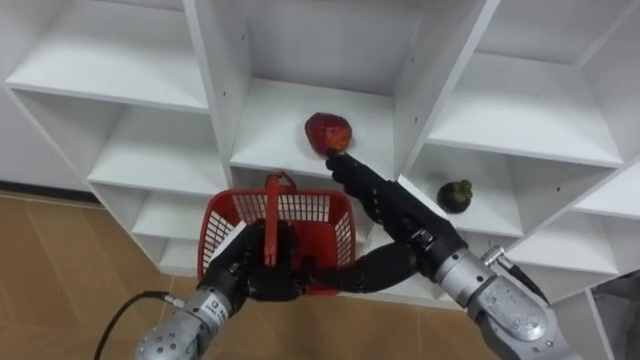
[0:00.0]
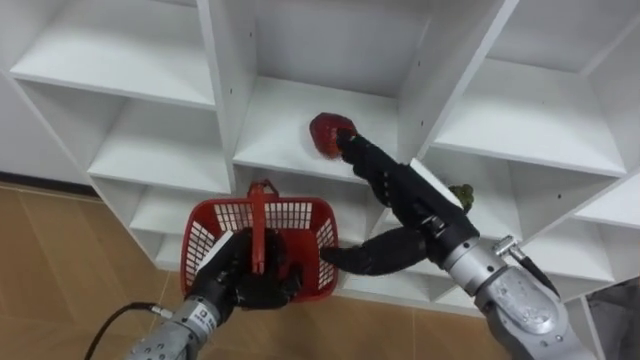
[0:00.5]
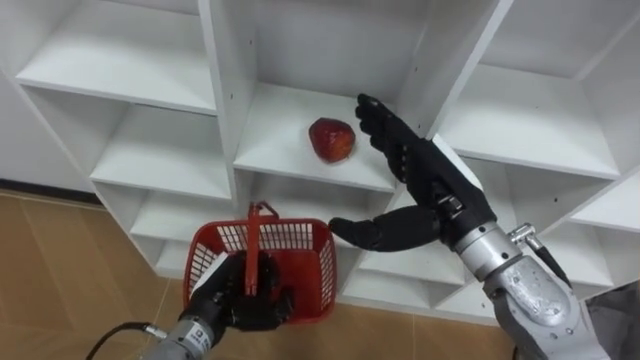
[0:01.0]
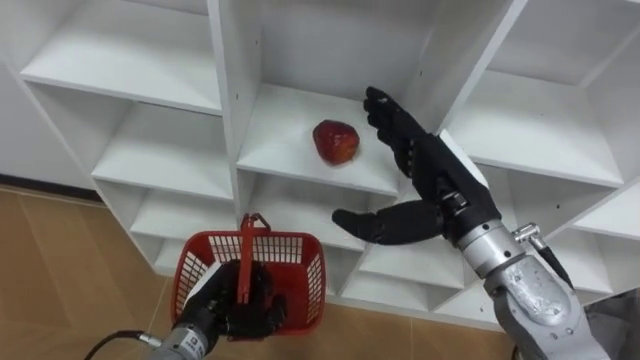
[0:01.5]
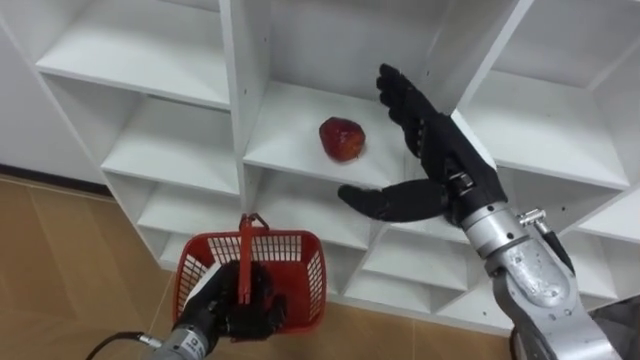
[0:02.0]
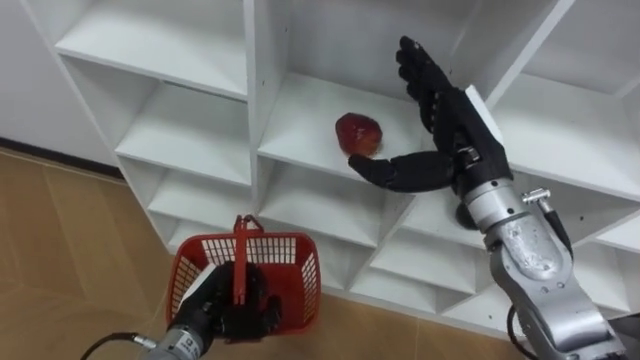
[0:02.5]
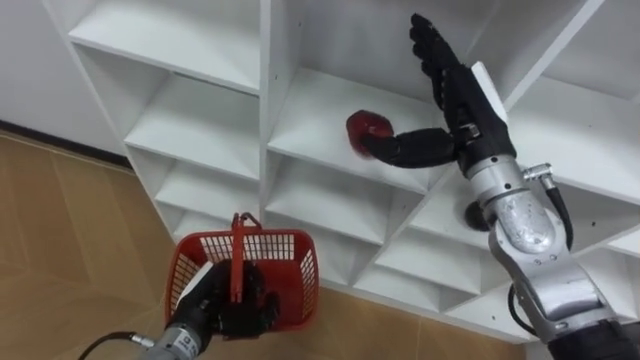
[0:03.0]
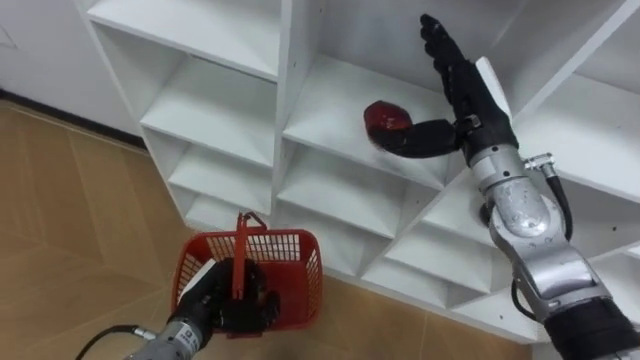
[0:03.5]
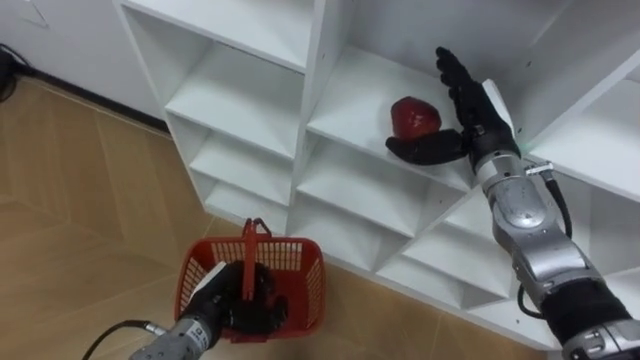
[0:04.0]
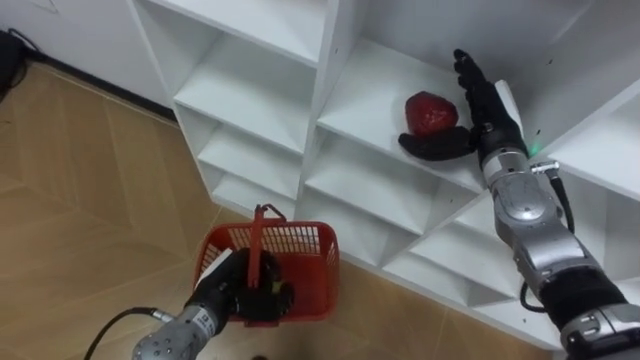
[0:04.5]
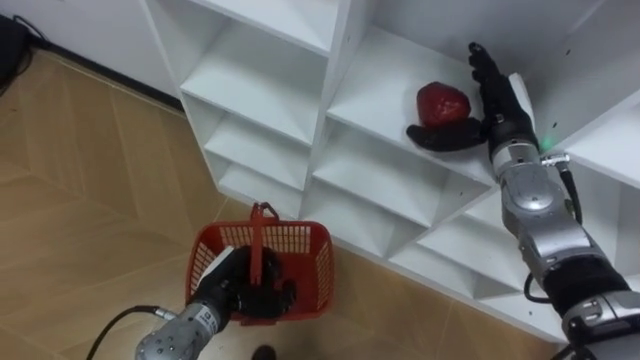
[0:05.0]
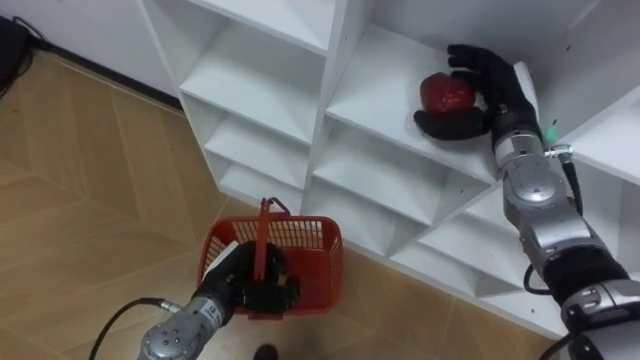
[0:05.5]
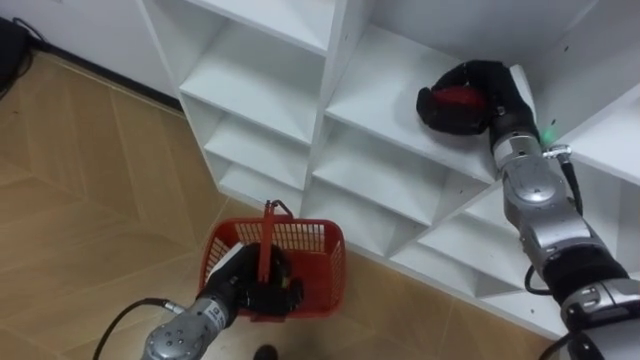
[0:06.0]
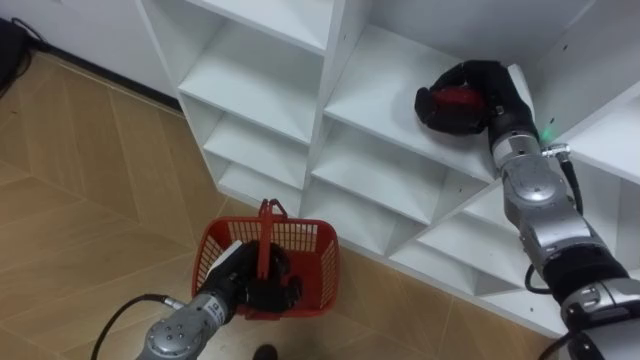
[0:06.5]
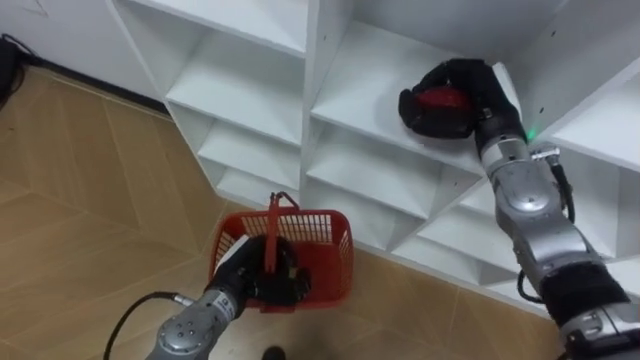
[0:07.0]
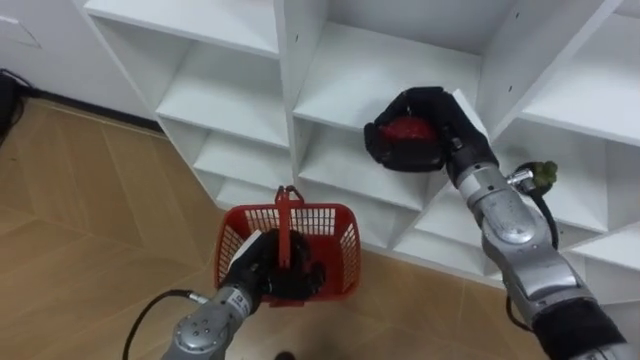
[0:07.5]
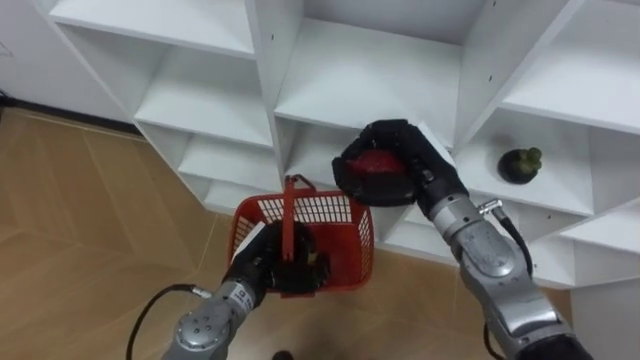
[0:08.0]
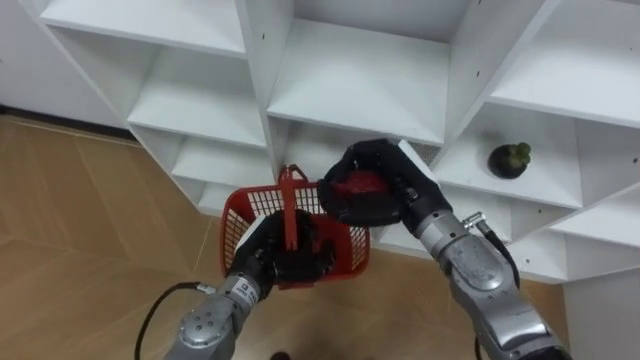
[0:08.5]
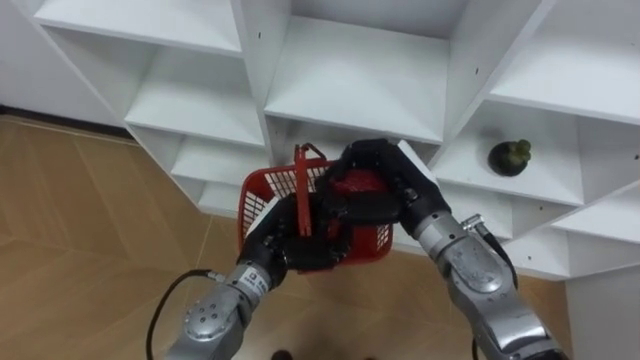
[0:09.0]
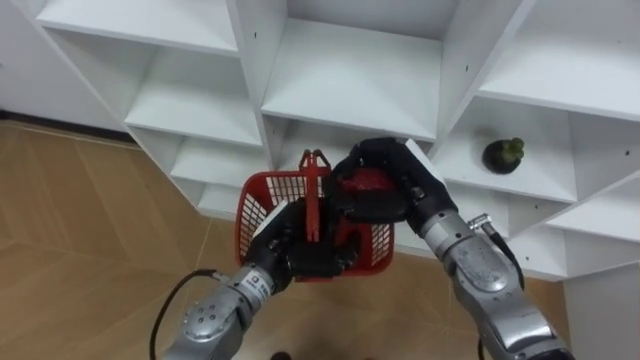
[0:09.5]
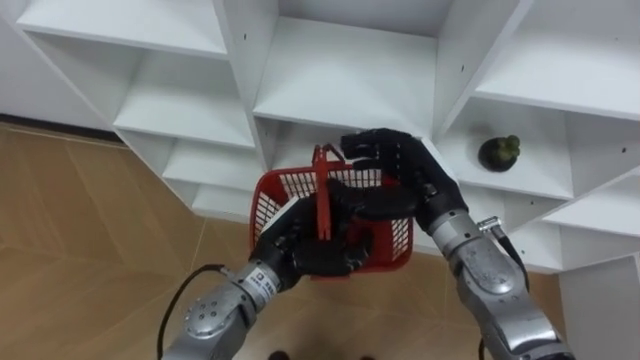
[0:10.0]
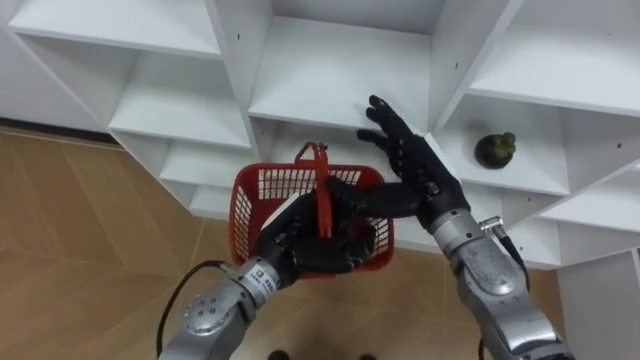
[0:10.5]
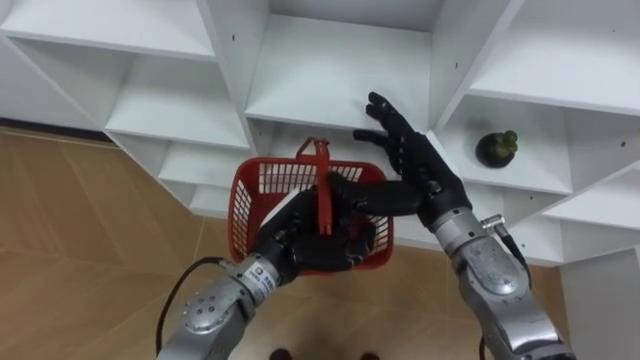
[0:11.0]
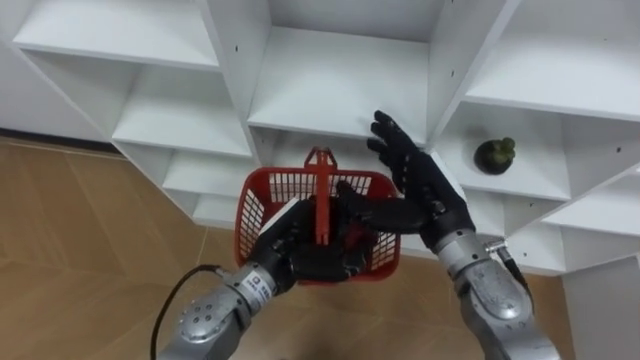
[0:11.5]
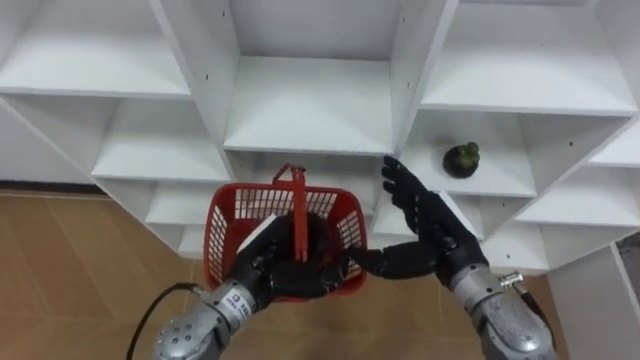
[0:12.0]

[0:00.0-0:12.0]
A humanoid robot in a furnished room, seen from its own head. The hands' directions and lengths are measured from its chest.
Task of the whole recording: Hold the basket and collect the fruits from 3 different cells of the closet into it.
0:00.0 to 0:02.0: The right hand heads upward, covering some 5 cm, while the left hand ends up roughly 5 cm from where it was.
0:02.0 to 0:04.0: The right hand shifts approximately 10 cm forward.
0:04.0 to 0:06.0: The right hand closes its fingers.
0:06.0 to 0:08.0: The right hand travels to the left and backward by approximately 10 cm.
0:08.0 to 0:10.0: The left hand shifts about 5 cm upward; the right hand opens up.
0:10.0 to 0:12.0: The right hand changes place by about 5 cm.

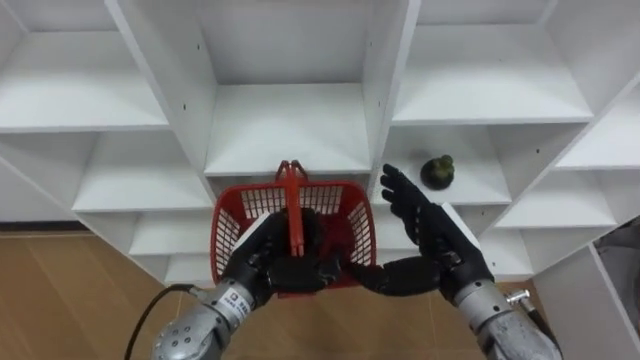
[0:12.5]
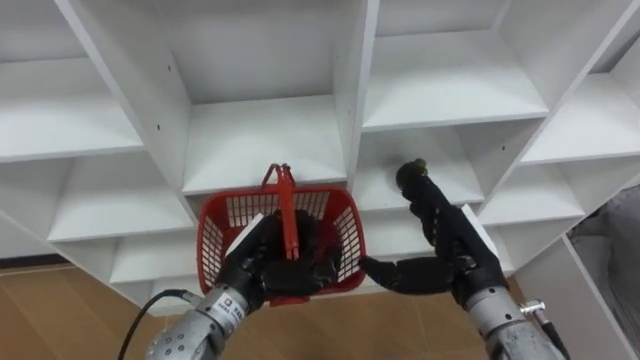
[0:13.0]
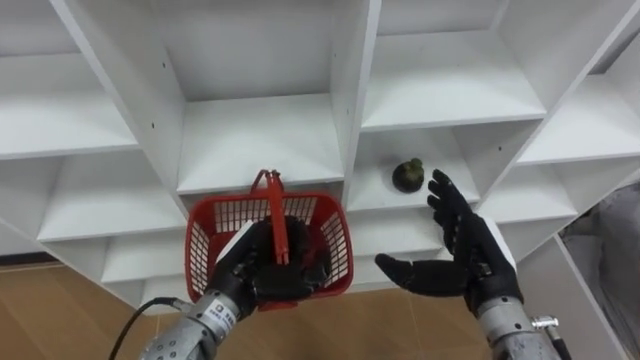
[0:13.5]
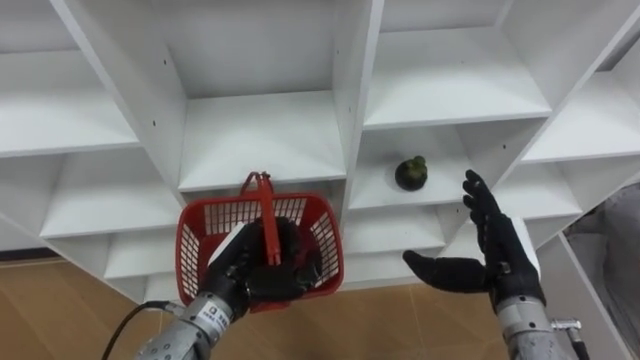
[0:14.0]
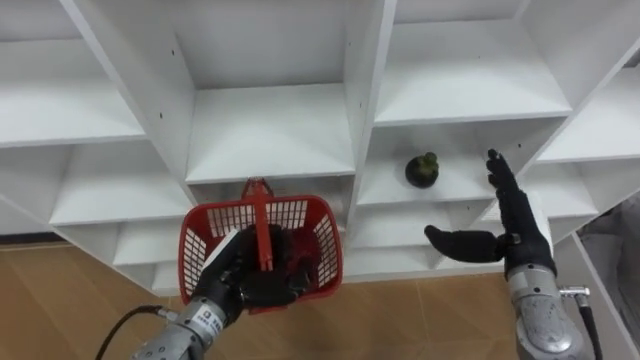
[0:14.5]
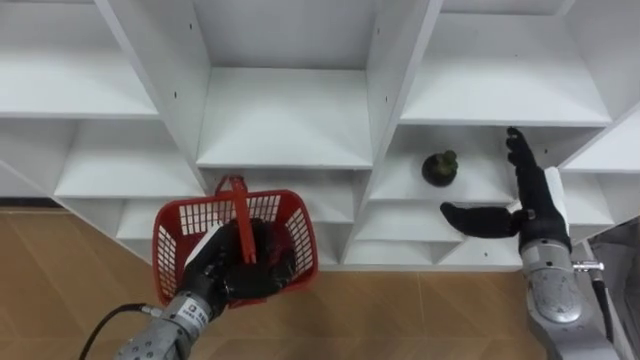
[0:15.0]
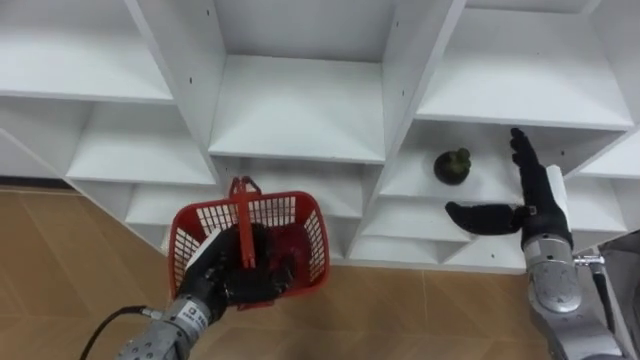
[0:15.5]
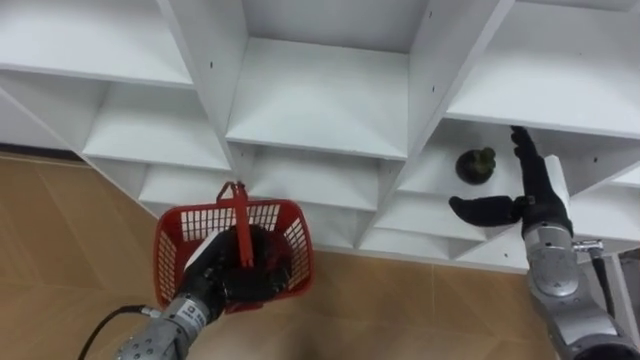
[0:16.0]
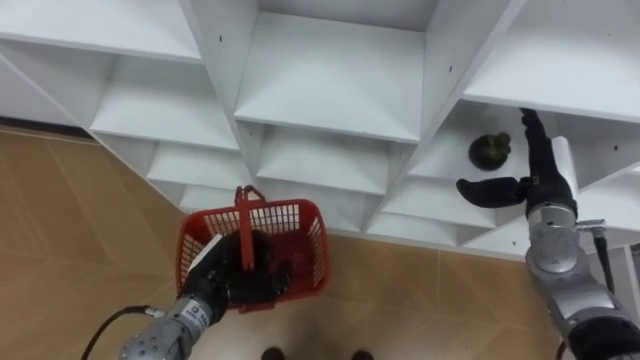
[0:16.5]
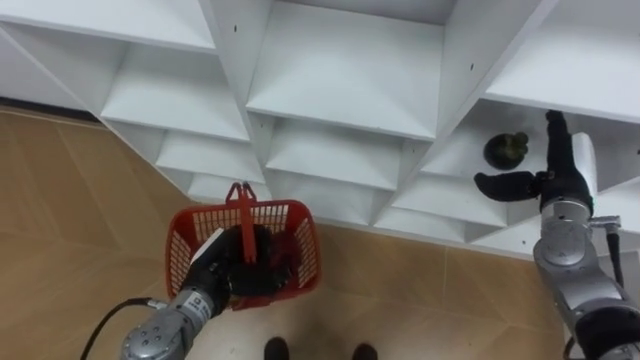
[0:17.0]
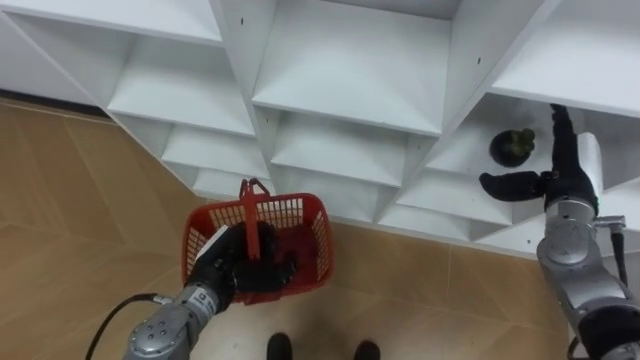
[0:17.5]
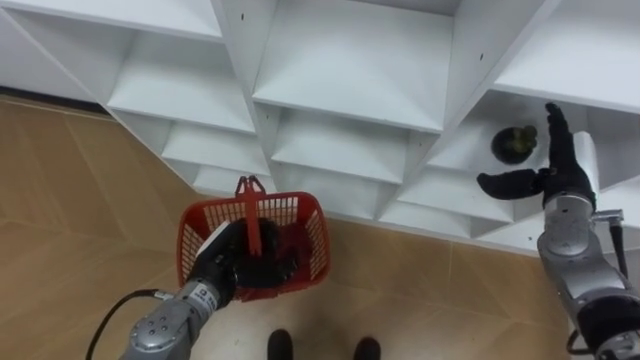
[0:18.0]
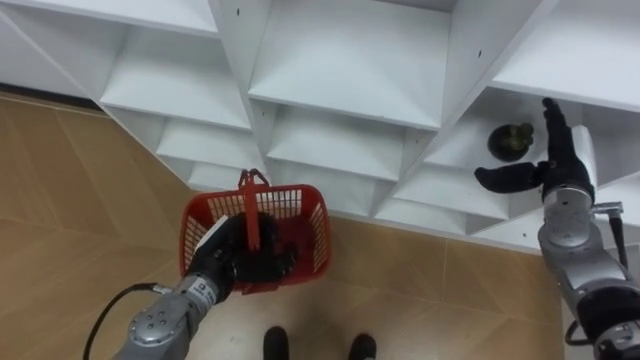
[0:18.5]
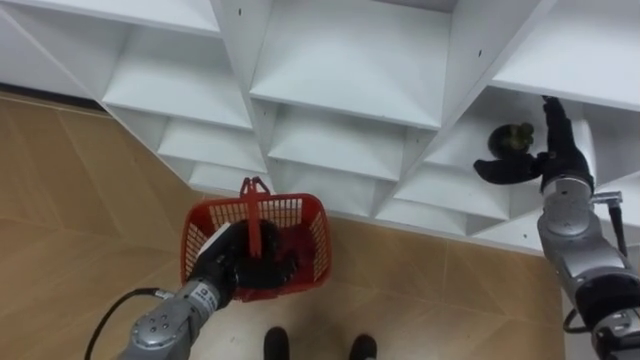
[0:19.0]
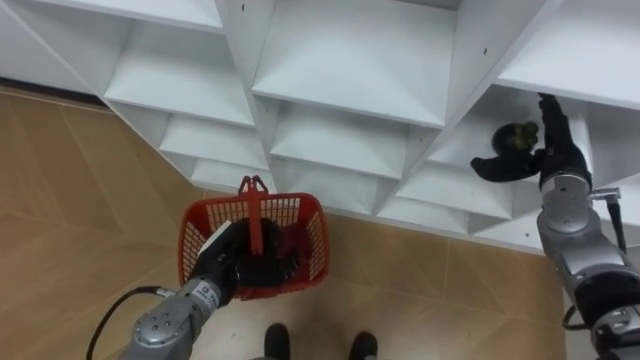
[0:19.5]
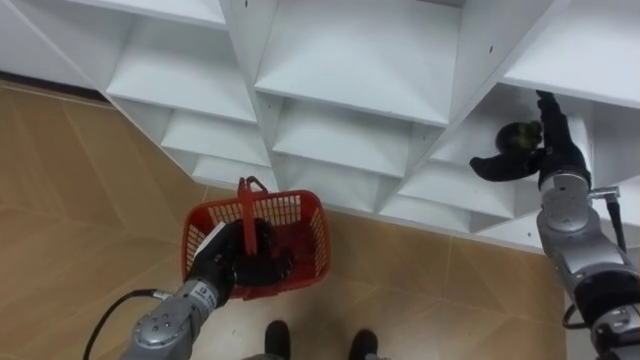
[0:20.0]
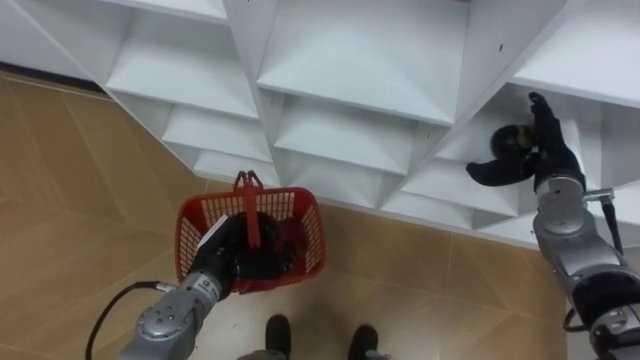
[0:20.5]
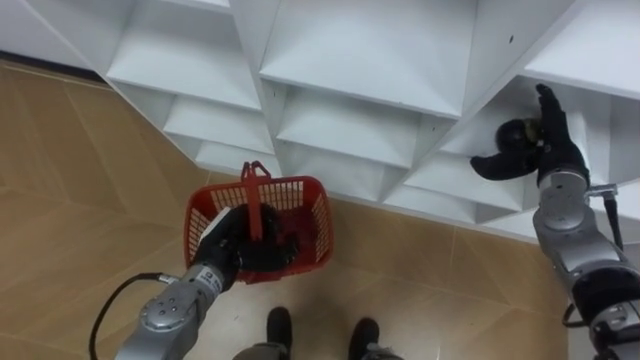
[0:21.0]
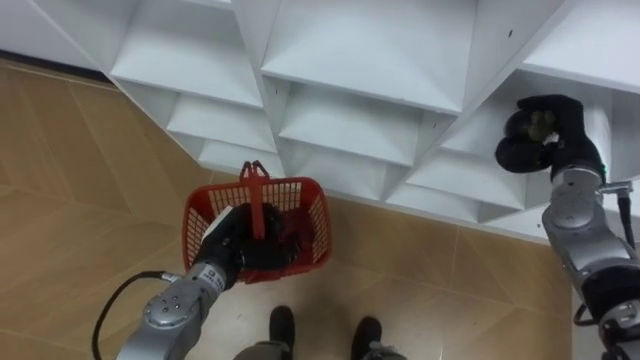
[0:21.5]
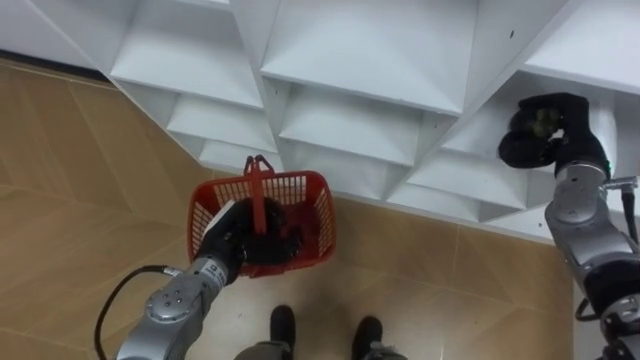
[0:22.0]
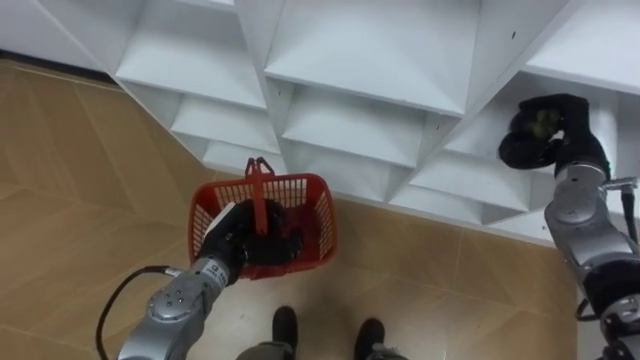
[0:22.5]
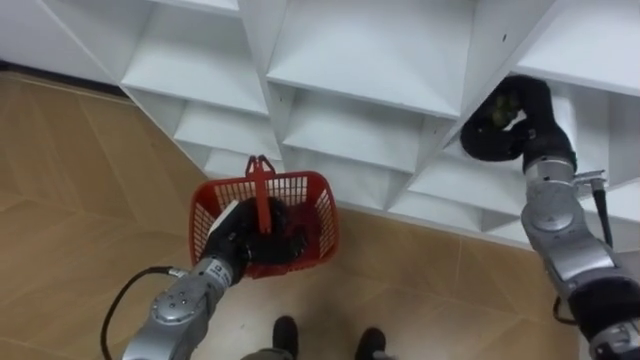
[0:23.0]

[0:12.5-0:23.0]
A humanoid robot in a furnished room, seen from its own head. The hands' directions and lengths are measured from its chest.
Task of the whole recording: Hold the basket and collect the fruits from 3 different cells of the closet into it.
0:12.5 to 0:14.5: The right hand is displaced to the right by approximately 10 cm.
0:14.5 to 0:16.5: The right hand goes about 5 cm forward.
0:21.0 to 0:23.0: The right hand closes its fingers.
